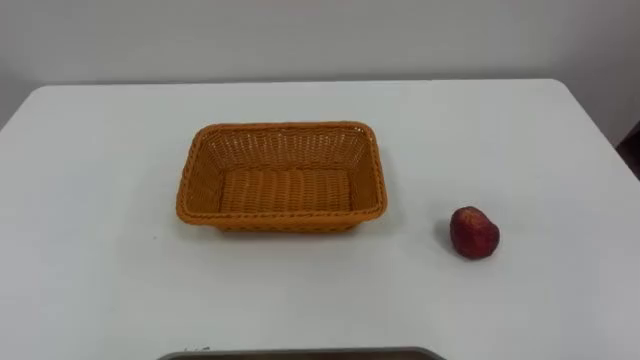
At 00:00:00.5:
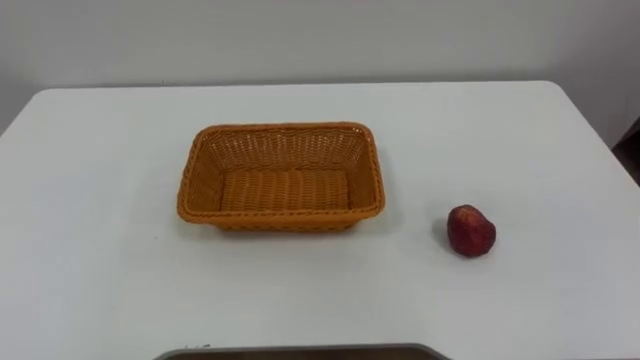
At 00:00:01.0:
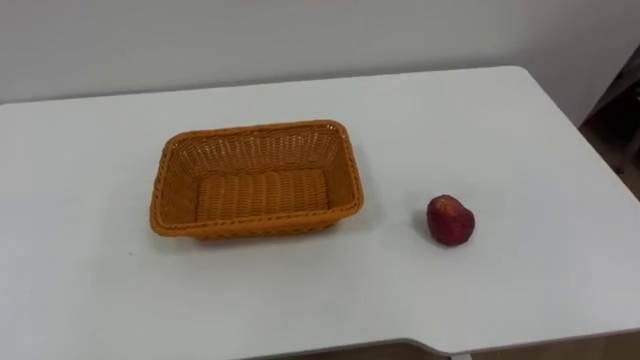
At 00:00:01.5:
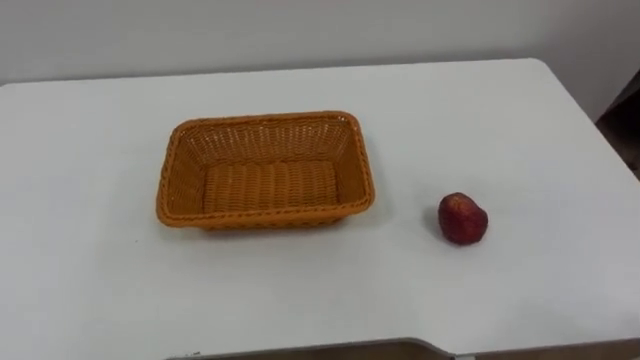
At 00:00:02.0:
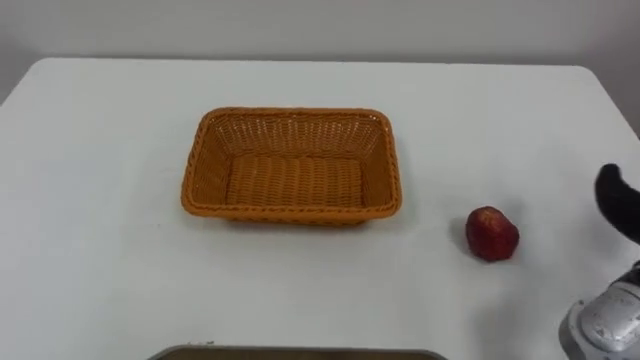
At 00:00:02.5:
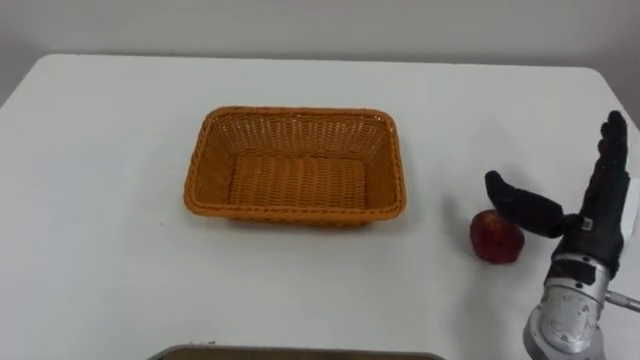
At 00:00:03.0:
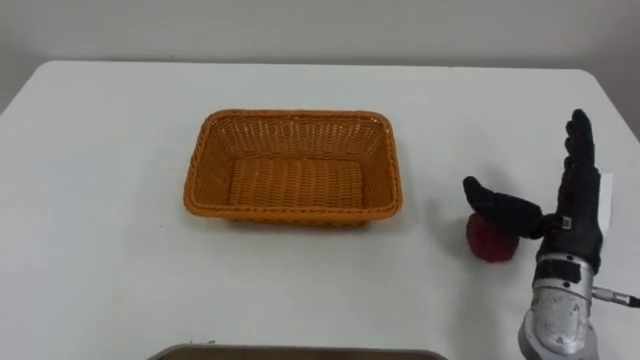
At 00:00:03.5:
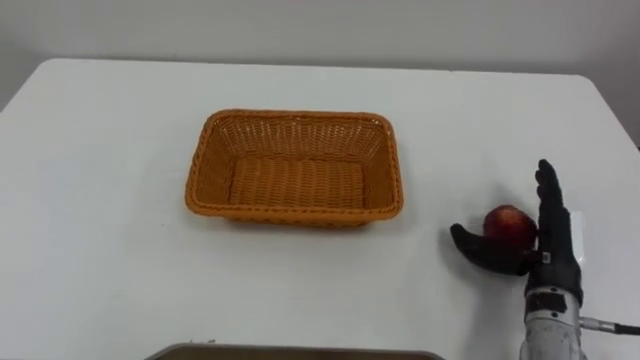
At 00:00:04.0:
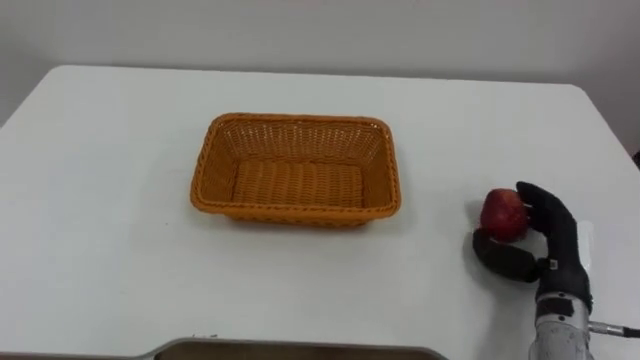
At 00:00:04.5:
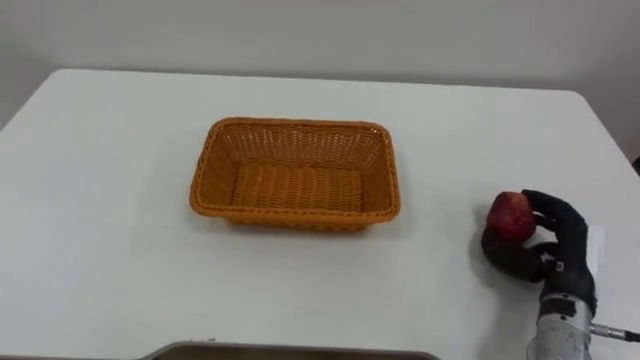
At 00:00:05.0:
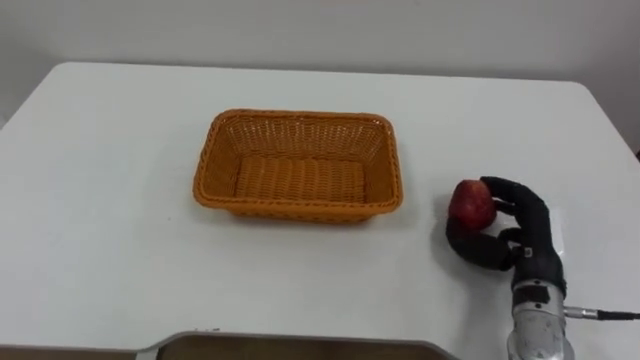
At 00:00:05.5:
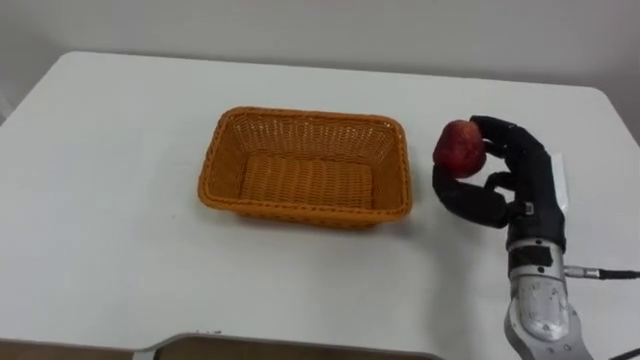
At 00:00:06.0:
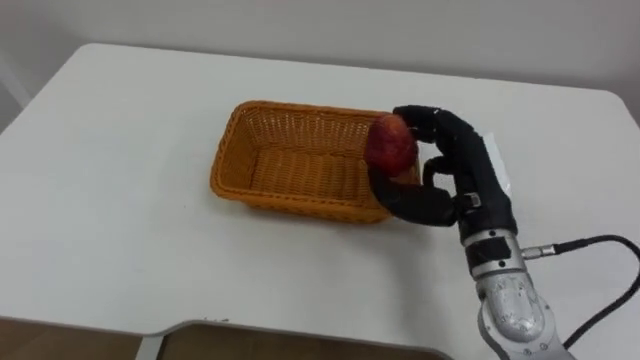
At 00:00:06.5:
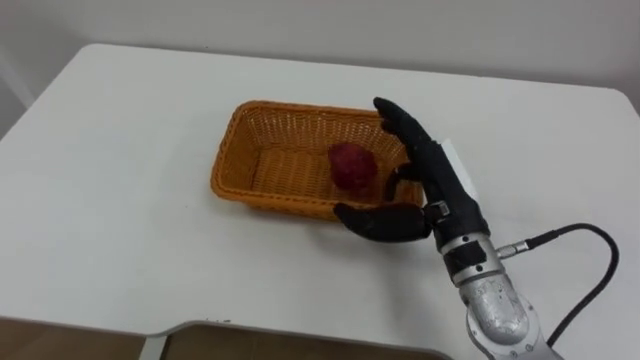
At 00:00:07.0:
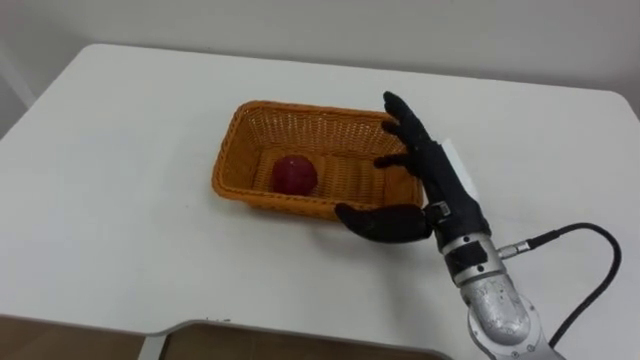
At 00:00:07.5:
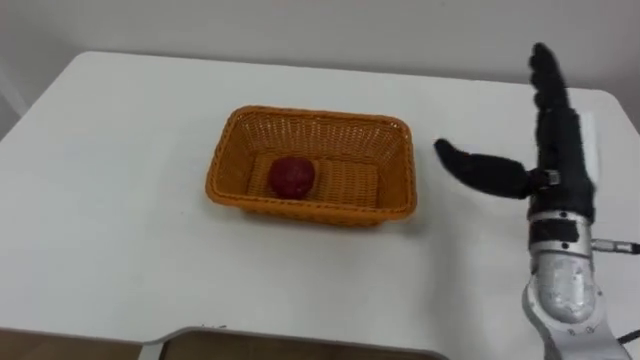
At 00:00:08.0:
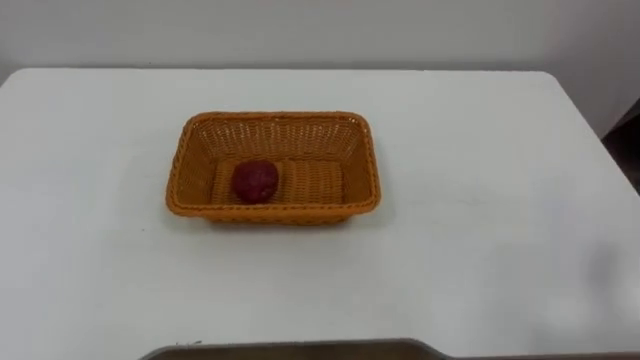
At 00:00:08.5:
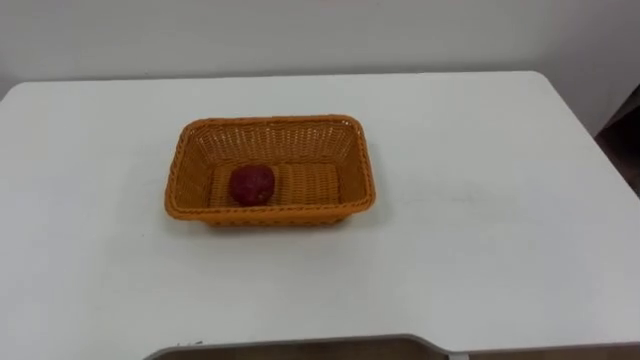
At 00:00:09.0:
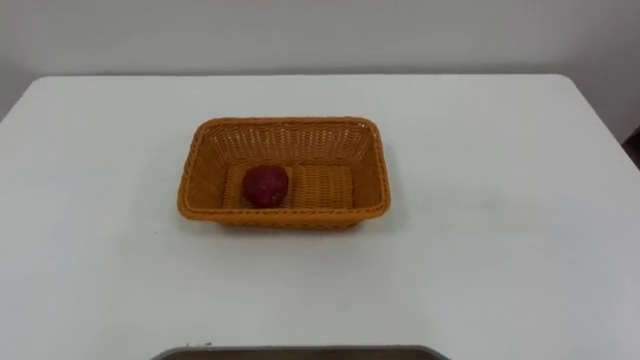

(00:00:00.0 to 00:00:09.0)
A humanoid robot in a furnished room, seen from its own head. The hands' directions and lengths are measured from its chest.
Task of the whole recording: Pick the apple and place it in the box.
00:00:04.5 - 00:00:07.0: The right hand shifts some 20 cm to the left and upward, and opens up.

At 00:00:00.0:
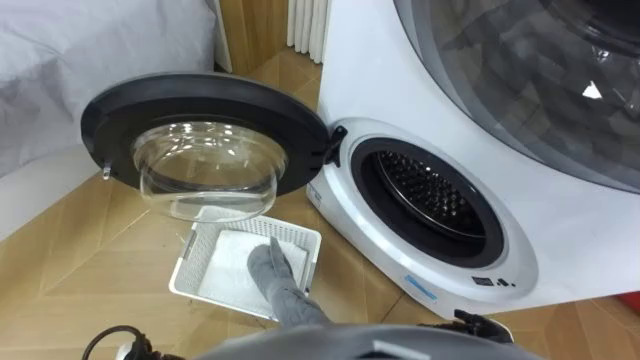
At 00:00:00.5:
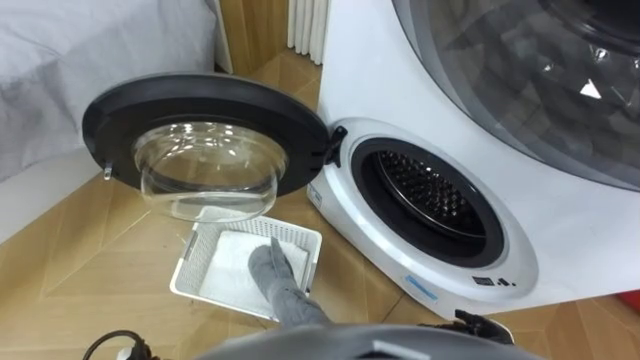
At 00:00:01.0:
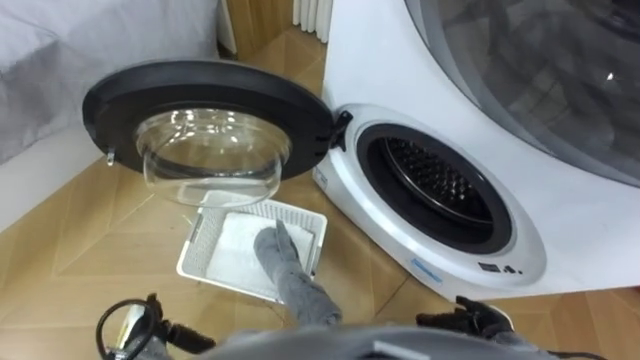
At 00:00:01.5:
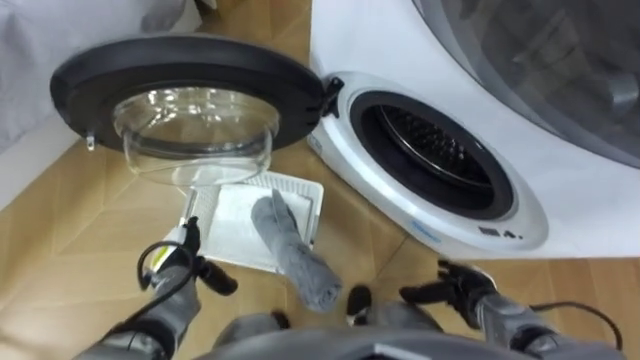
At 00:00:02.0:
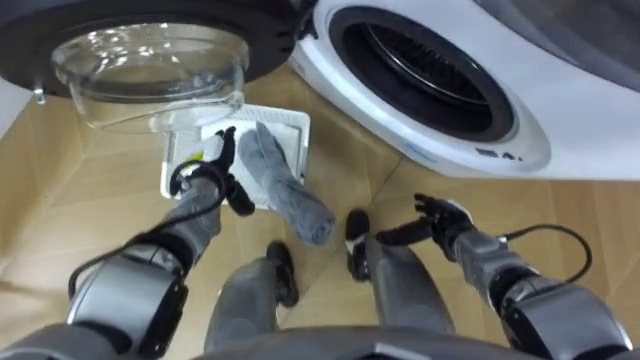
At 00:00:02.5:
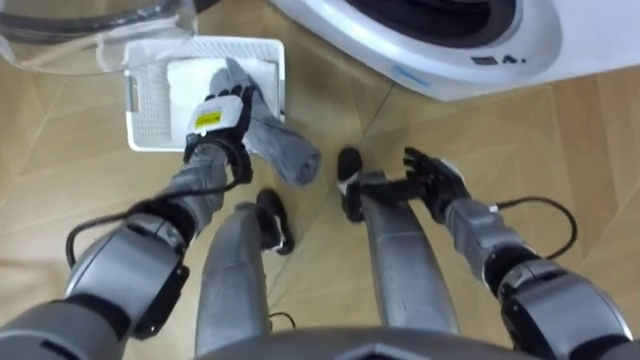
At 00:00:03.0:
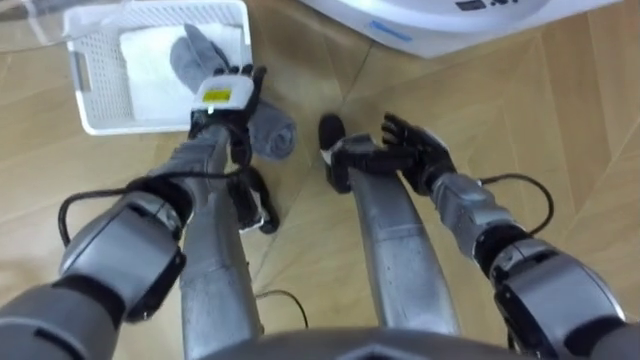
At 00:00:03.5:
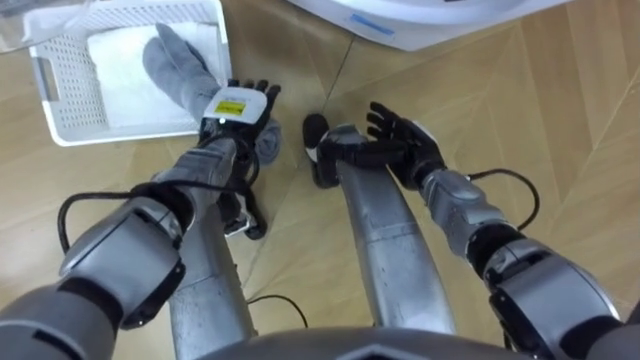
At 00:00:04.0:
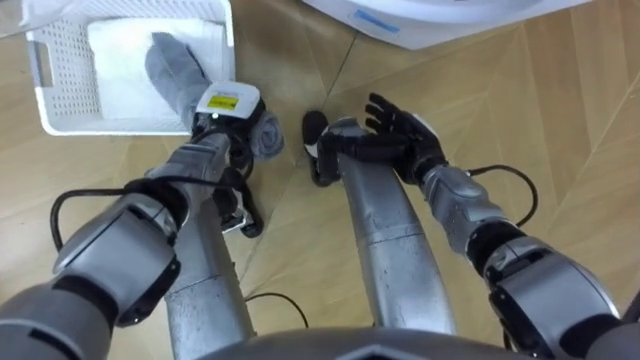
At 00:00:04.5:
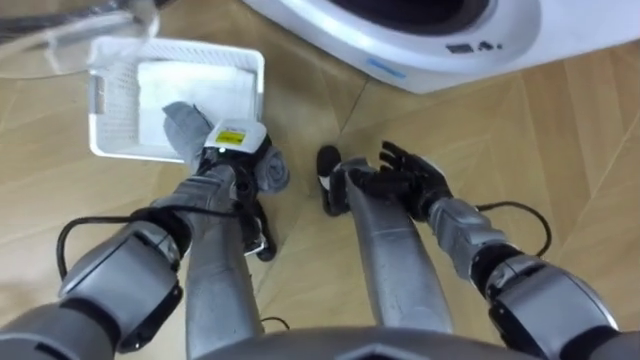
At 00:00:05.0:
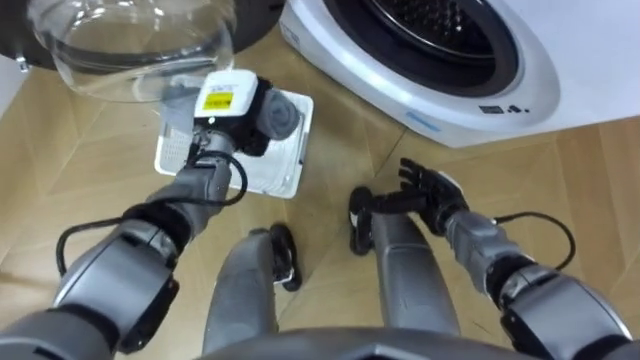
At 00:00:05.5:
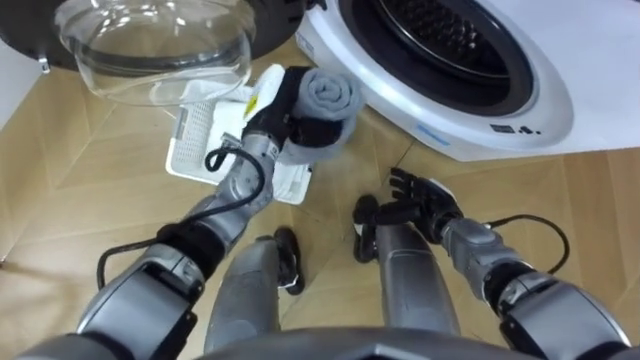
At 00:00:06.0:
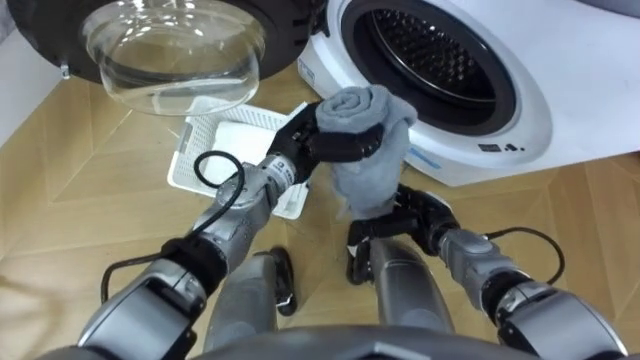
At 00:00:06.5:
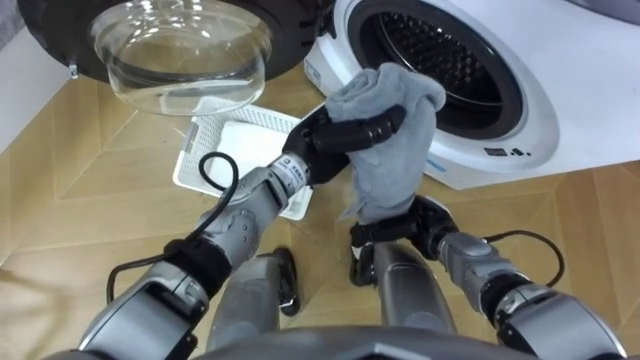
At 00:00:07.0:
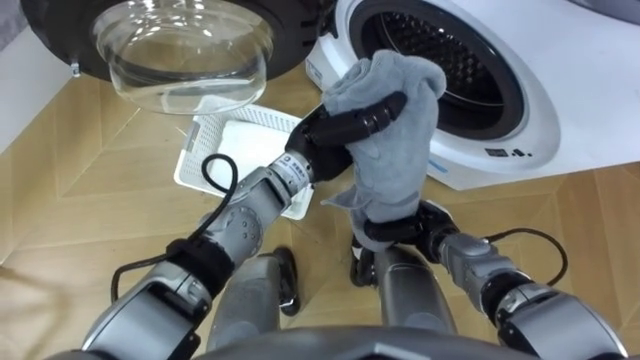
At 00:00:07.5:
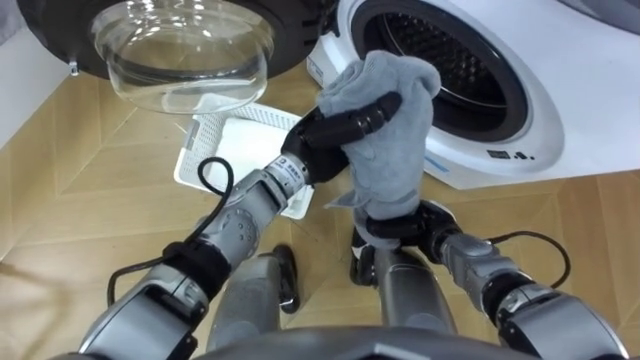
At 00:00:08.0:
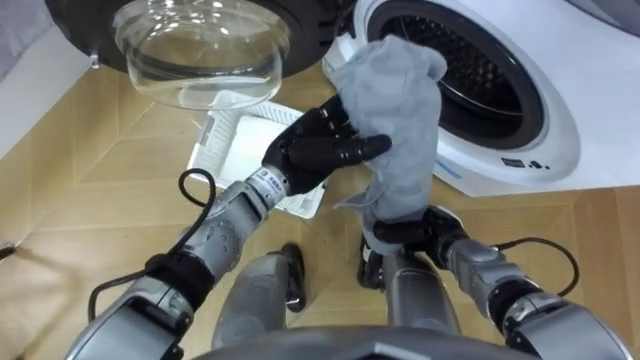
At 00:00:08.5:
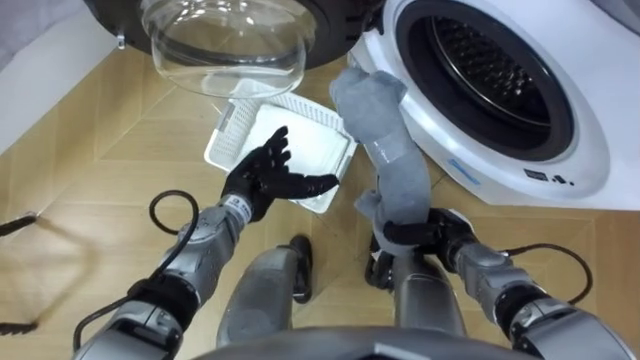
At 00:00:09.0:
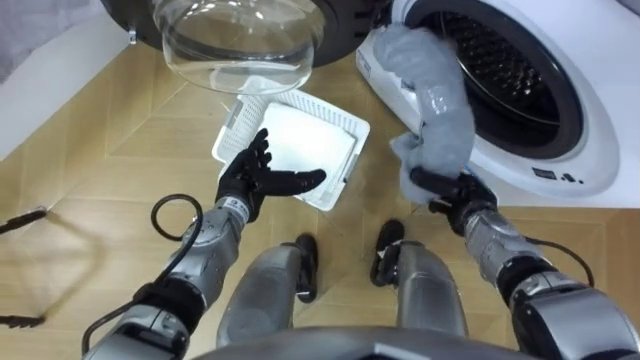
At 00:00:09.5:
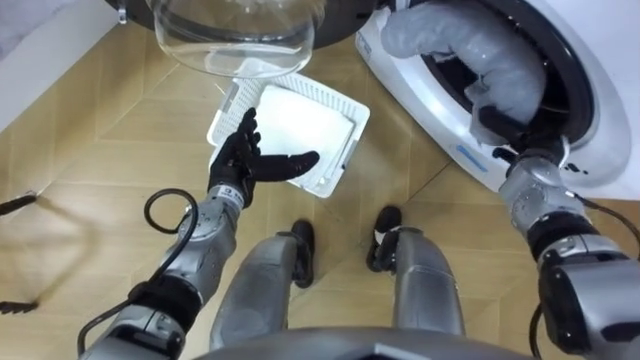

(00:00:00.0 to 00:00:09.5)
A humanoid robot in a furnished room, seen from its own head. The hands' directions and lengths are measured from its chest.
Task of the whole recording: Take the towel from the basket and put it into the washing machine.
00:00:02.0 - 00:00:04.0: The left hand shifts some 10 cm forward and upward, and closes; the right hand shifts about 15 cm forward, upward and to the left.
00:00:04.0 - 00:00:05.5: The right hand goes about 10 cm backward and downward. The left hand heads to the right, covering some 5 cm.
00:00:05.5 - 00:00:07.5: The left hand goes roughly 5 cm to the right. Meanwhile the right hand closes its fingers.
00:00:07.5 - 00:00:09.5: The left hand heads to the left and downward, covering about 15 cm, and opens up. Meanwhile the right hand shifts some 20 cm to the right, forward and upward.

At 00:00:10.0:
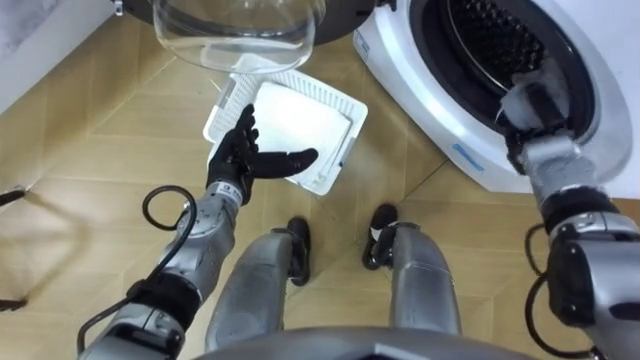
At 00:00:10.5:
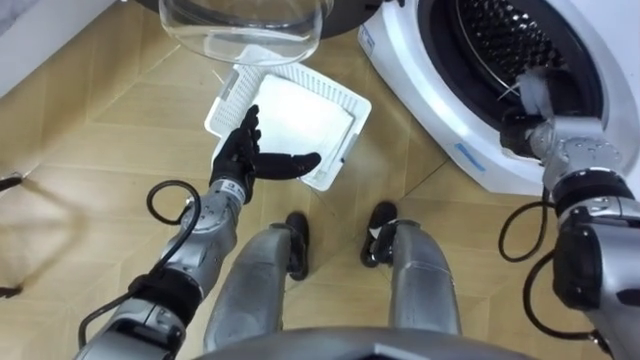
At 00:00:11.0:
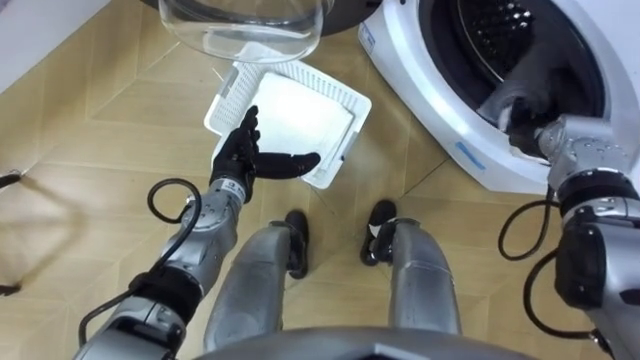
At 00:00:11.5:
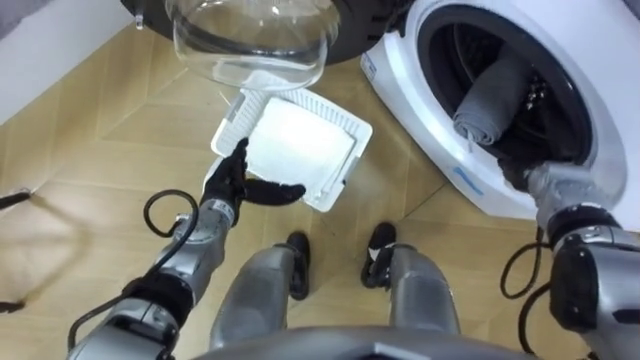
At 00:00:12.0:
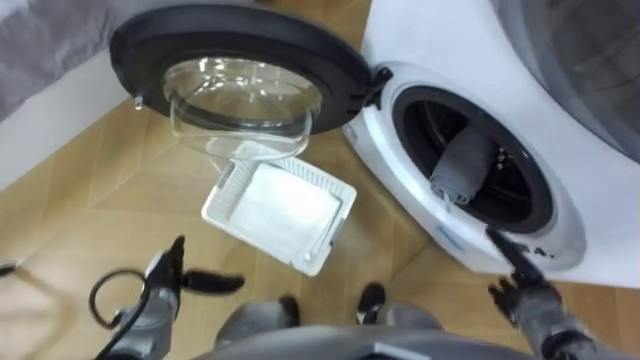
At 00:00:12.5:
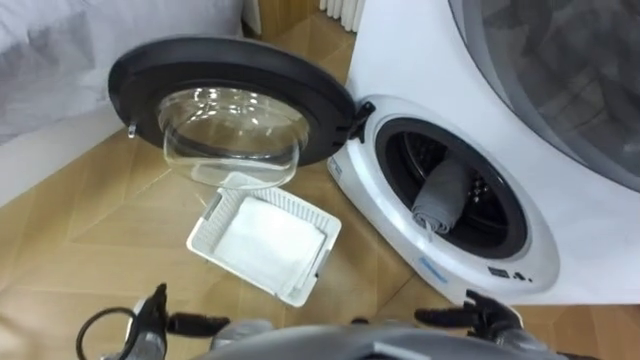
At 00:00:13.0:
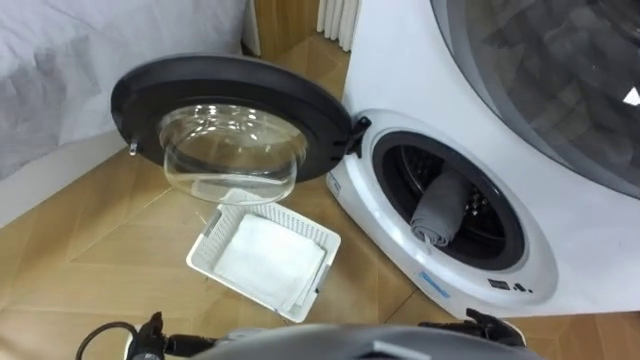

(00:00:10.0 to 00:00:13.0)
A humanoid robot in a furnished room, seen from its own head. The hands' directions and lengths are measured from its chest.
Task of the whole recording: Take the towel from the basket and put it into the washing machine.
00:00:10.0 - 00:00:11.5: The right hand opens its fingers.
00:00:11.5 - 00:00:13.0: The left hand is displaced backward, to the left and downward by approximately 30 cm, while the right hand is displaced backward and downward by roughly 25 cm.
